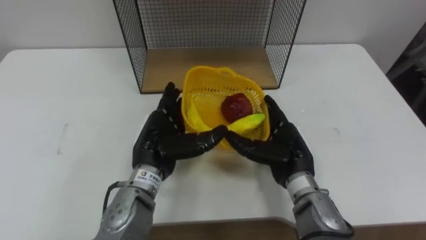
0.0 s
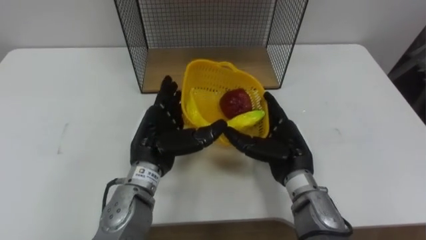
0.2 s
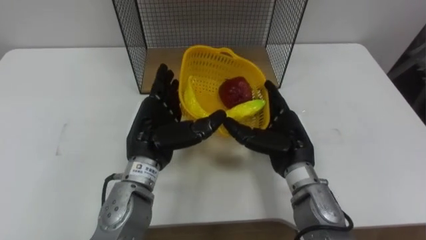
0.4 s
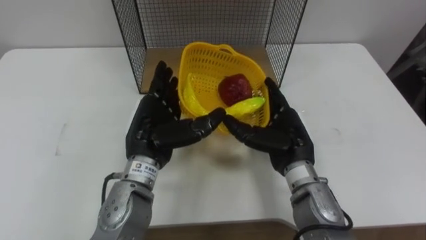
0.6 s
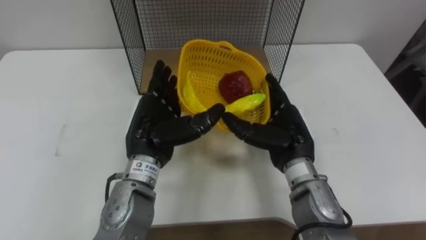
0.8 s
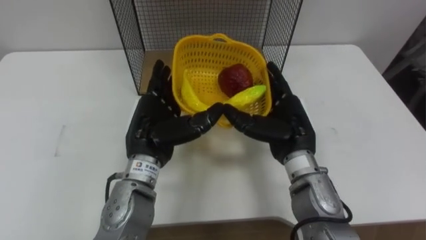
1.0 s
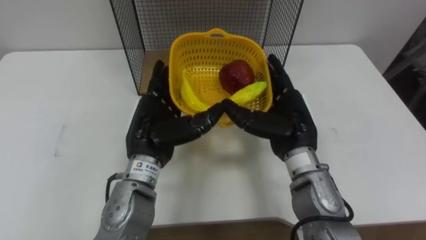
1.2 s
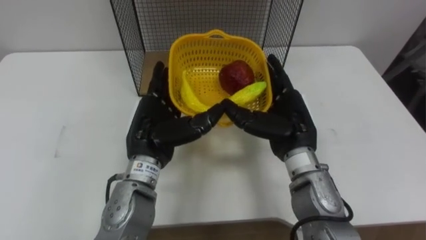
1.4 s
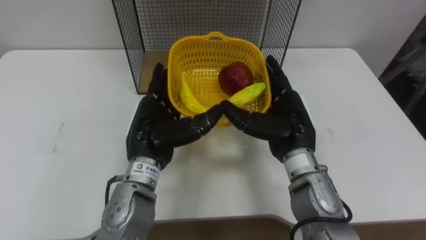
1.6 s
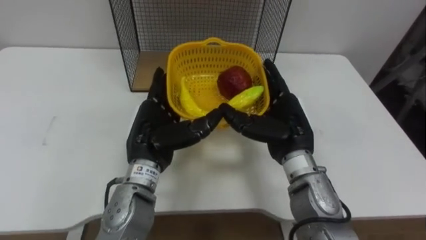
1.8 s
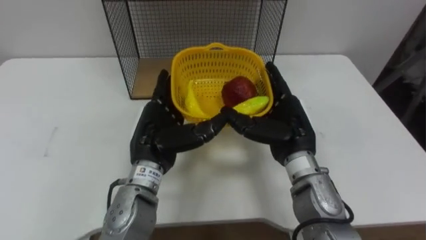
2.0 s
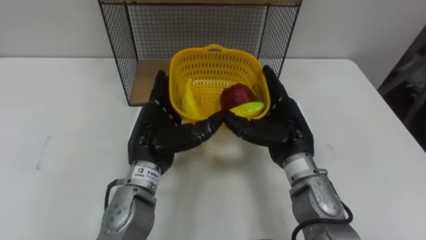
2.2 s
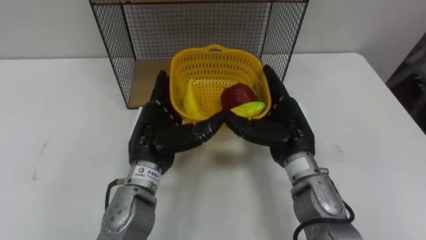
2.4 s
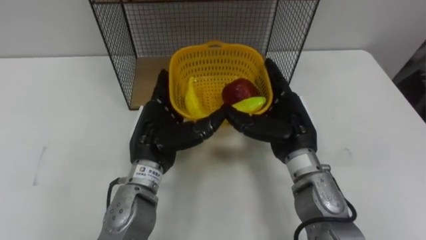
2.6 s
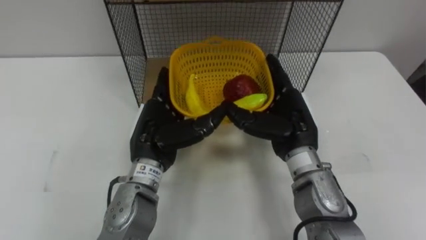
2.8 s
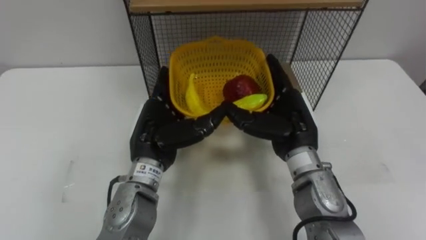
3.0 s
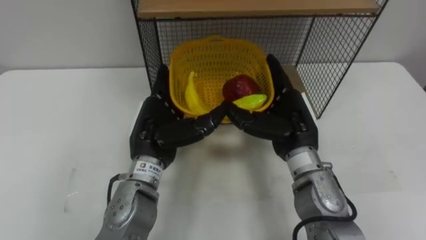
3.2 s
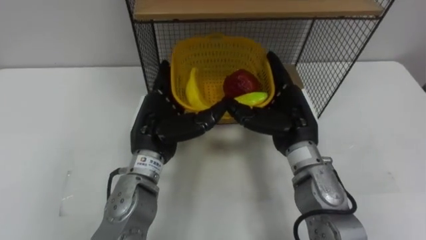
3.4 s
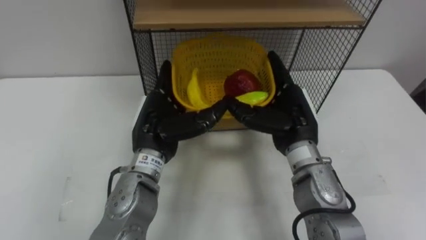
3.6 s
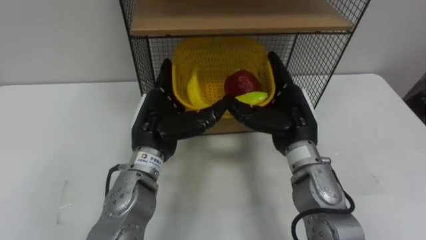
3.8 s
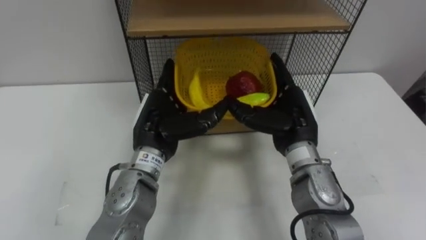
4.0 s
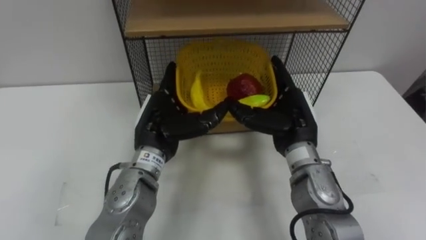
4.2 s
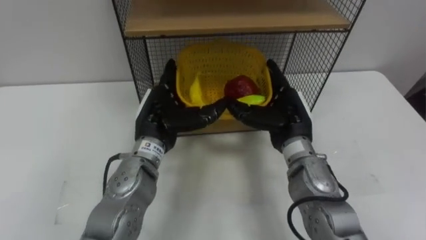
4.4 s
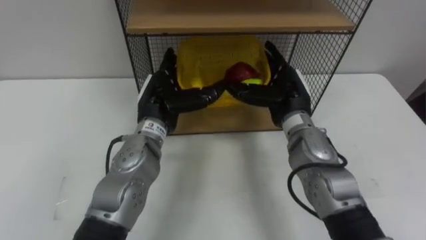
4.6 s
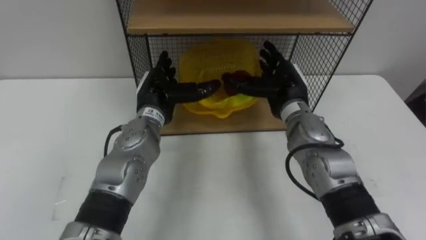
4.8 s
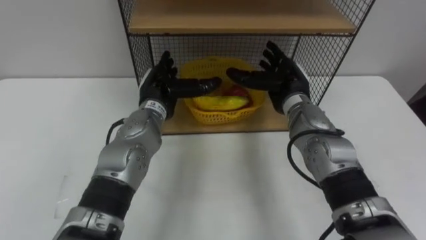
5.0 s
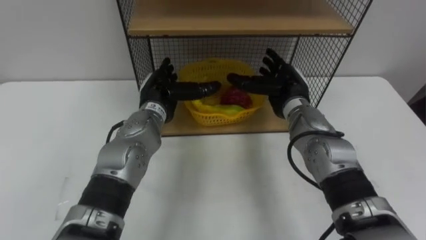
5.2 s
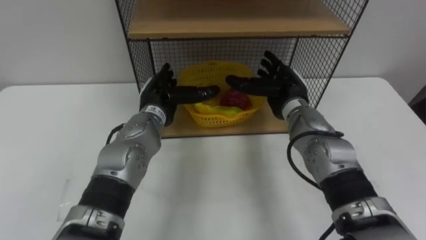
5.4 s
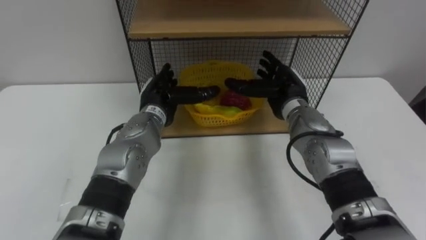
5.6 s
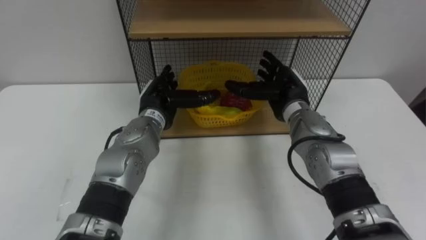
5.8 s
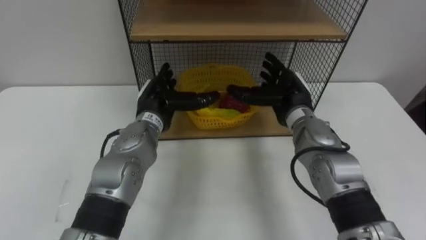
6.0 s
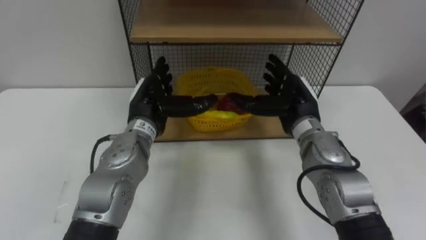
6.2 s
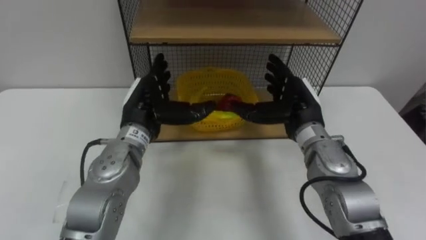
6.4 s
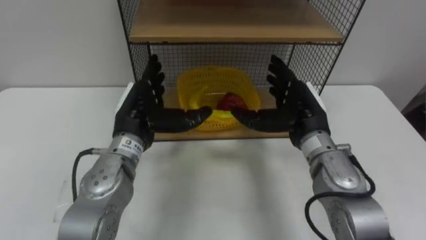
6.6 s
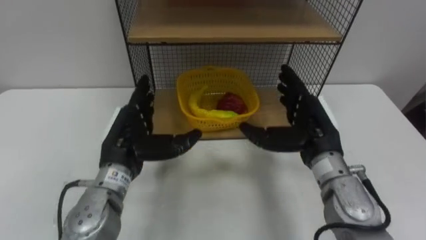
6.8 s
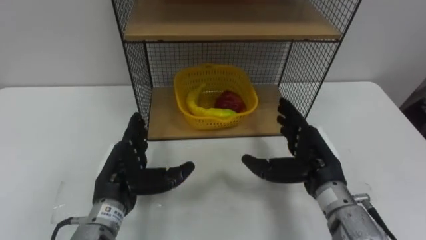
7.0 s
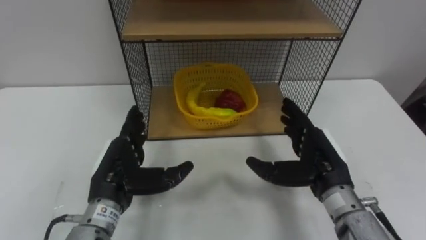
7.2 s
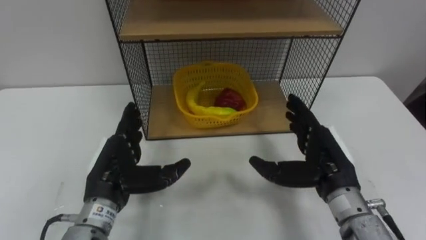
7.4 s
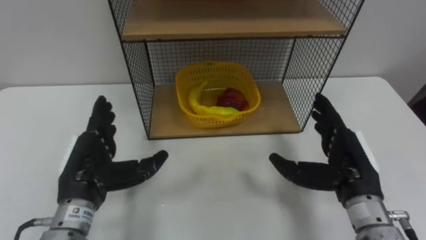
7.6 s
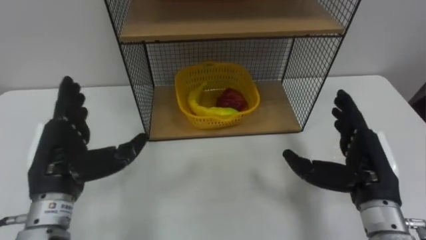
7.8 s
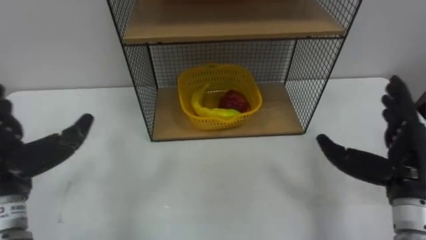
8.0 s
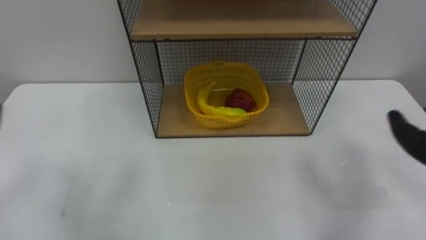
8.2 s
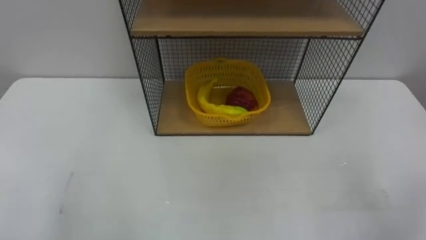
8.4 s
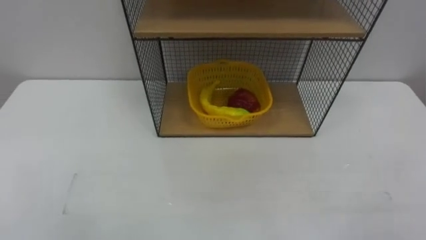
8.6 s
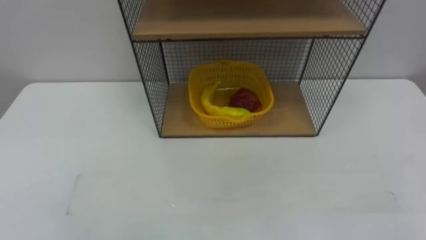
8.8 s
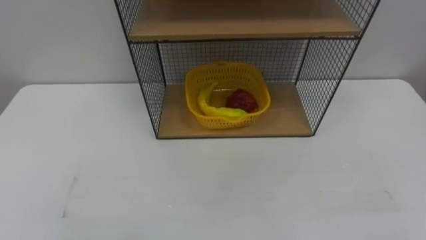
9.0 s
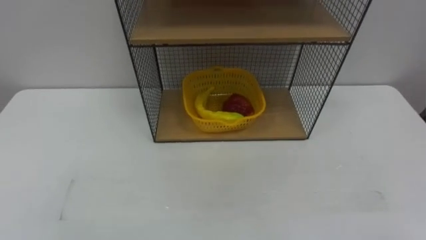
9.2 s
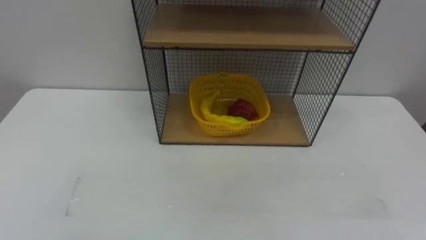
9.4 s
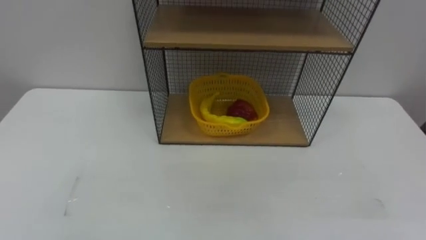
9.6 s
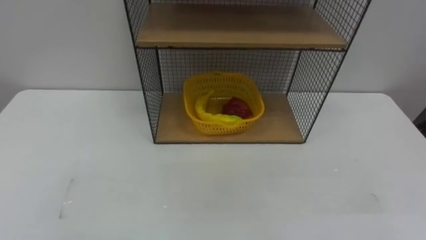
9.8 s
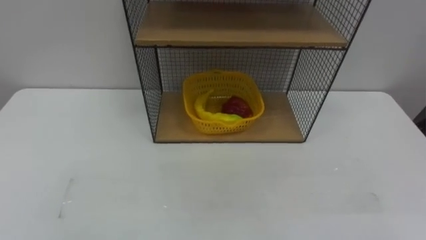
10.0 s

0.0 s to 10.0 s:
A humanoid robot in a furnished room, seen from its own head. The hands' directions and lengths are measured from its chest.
Task of the whole recording: Put the fruit on the table into the basket, then place the basket on the shelf.
0.0 to 1.4 s: The right hand shifts approximately 5 cm upward.
4.2 to 5.8 s: The two hands go roughly 10 cm forward.
5.8 to 7.2 s: The right hand moves backward, about 15 cm. The left hand moves backward and to the left, some 15 cm.

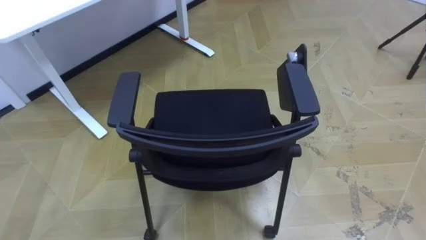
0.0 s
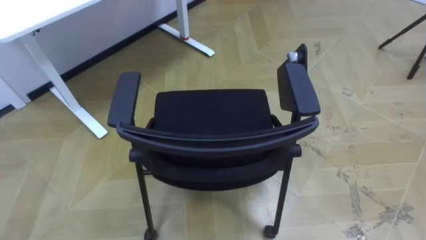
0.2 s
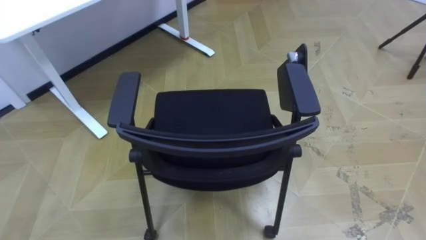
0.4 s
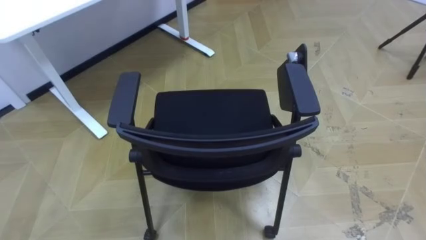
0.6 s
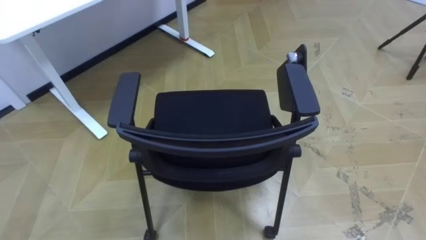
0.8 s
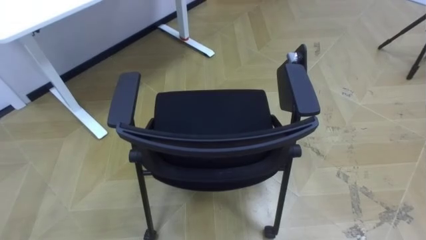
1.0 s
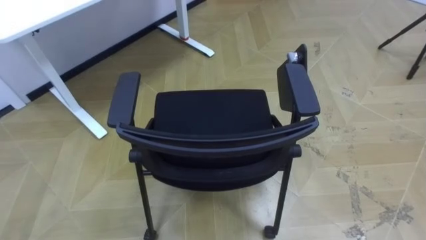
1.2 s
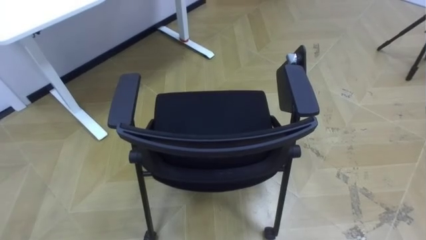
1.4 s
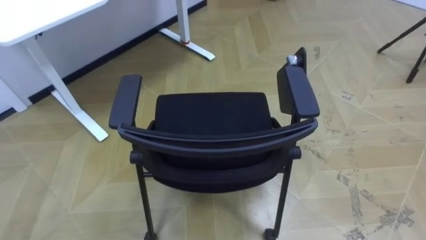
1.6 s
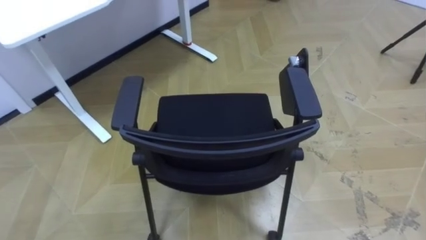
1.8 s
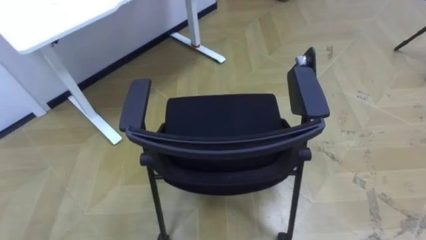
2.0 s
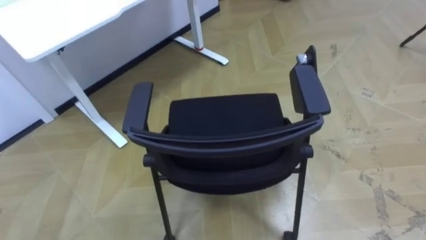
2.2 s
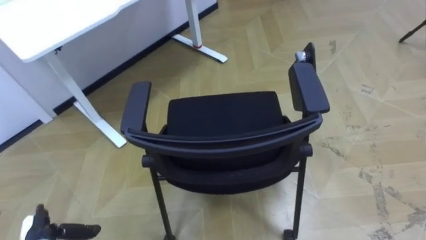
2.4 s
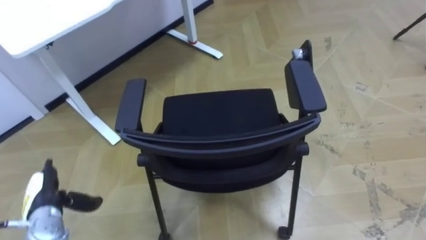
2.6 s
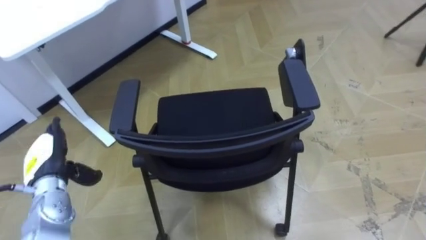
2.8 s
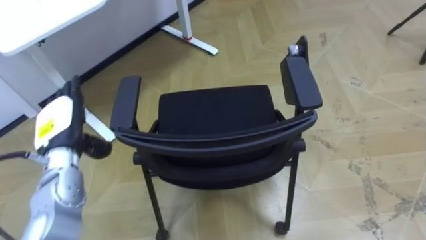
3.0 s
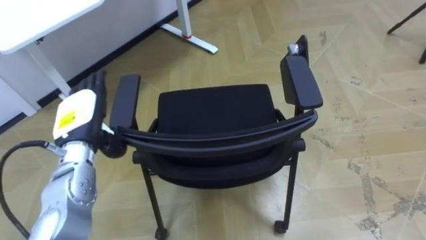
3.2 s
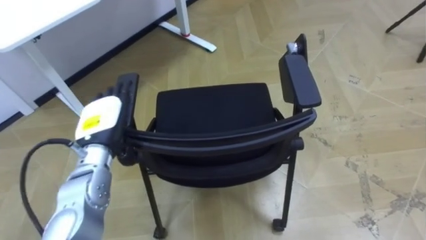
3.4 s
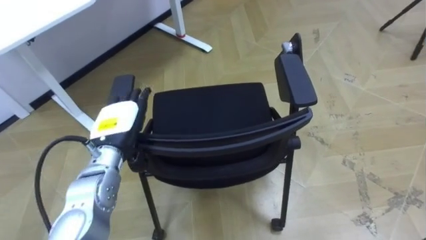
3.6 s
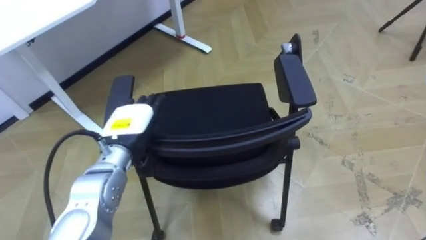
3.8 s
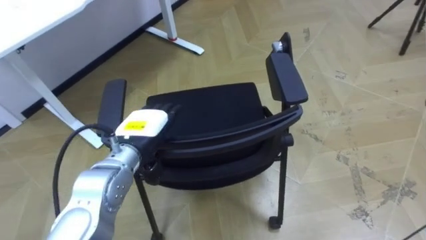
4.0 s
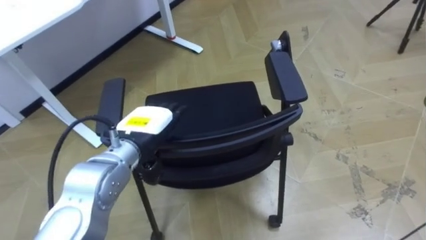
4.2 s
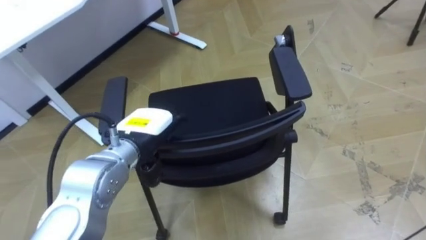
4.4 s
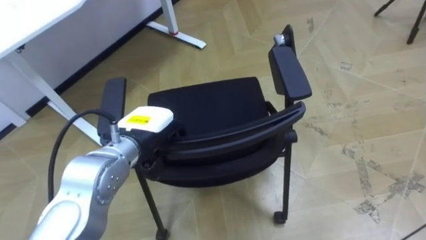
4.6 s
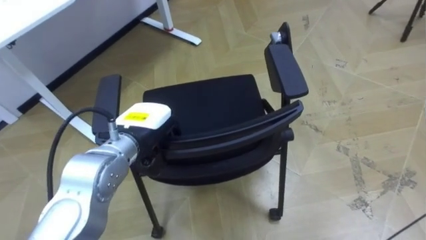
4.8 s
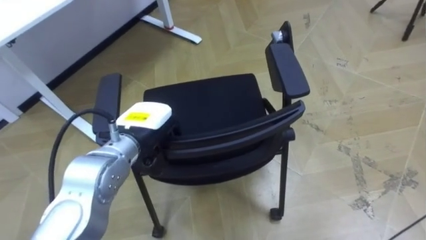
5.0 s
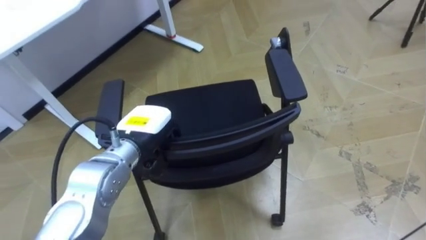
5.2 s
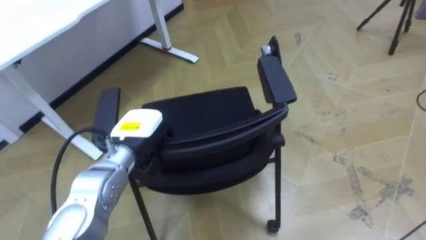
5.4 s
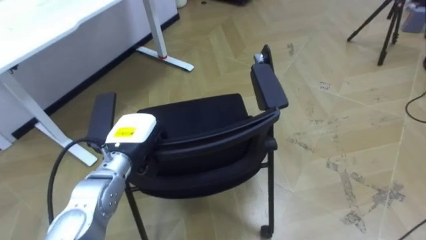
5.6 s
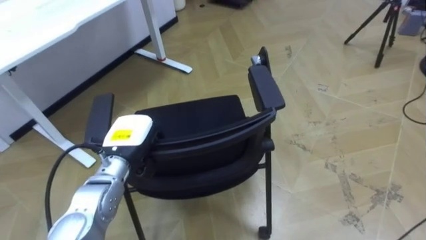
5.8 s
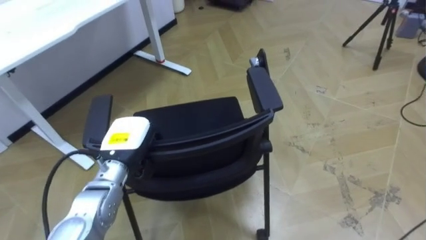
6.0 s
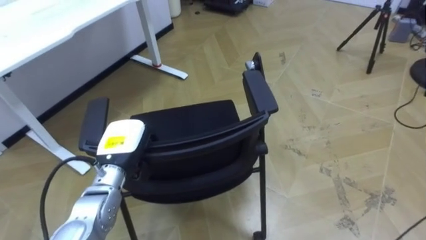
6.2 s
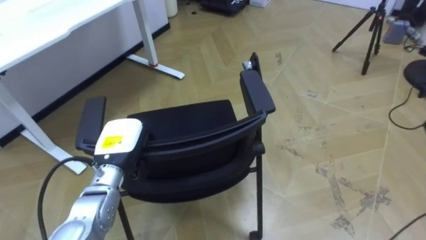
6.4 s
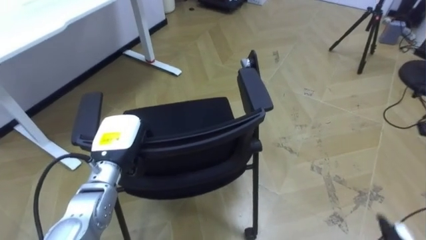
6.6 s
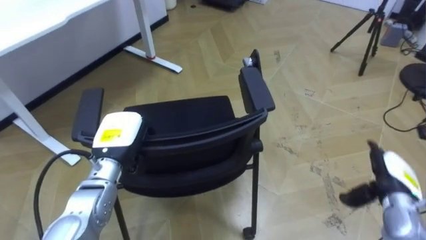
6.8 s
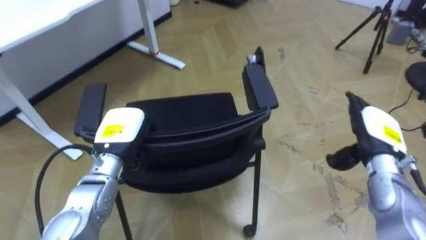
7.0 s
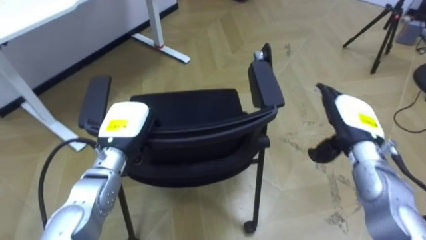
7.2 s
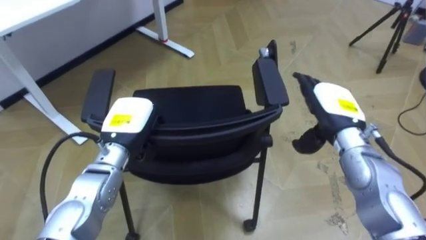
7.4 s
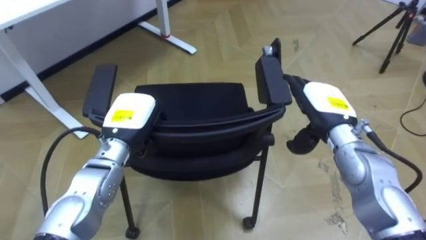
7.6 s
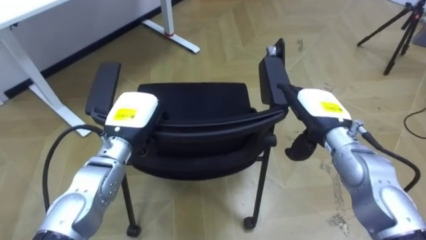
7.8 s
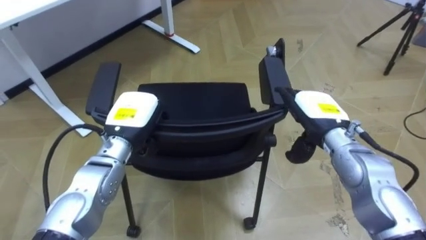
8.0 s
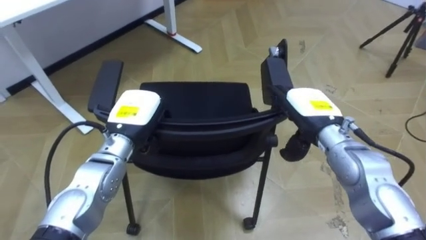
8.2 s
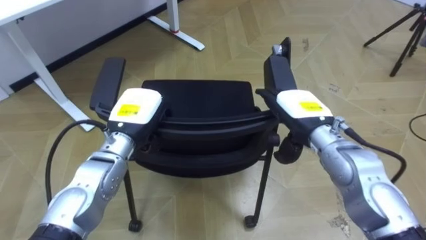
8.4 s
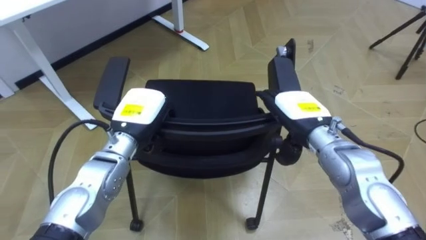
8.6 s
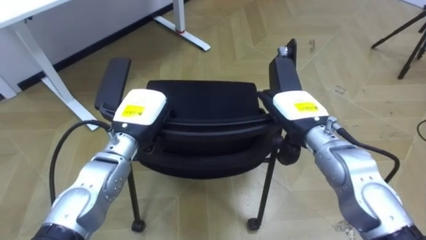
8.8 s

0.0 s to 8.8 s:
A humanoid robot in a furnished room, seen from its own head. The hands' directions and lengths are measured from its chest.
Task of the whole recording: Push the chair under the table.
3.0 to 4.4 s: The left hand moves to the right, about 15 cm.
4.4 to 5.8 s: The left hand moves downward, some 5 cm, and closes.
7.4 to 8.8 s: The right hand heads to the left, covering roughly 5 cm.
